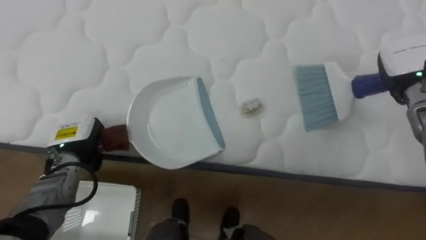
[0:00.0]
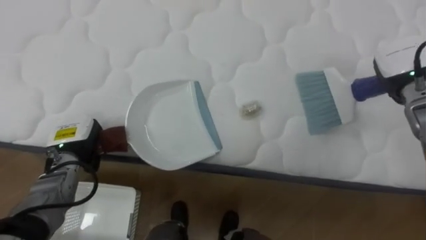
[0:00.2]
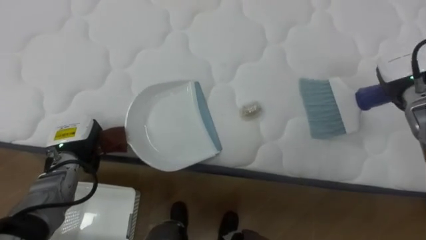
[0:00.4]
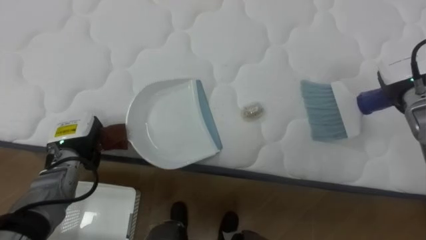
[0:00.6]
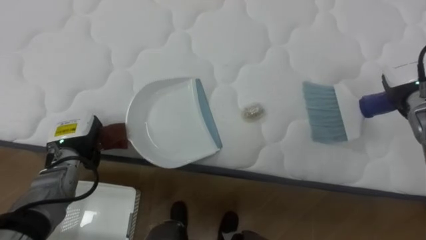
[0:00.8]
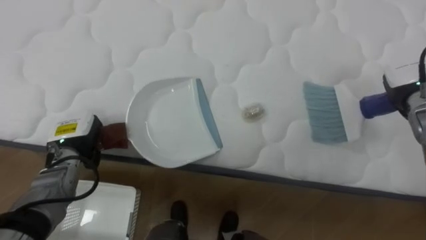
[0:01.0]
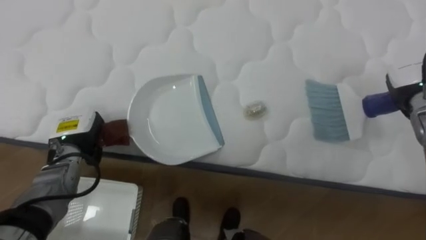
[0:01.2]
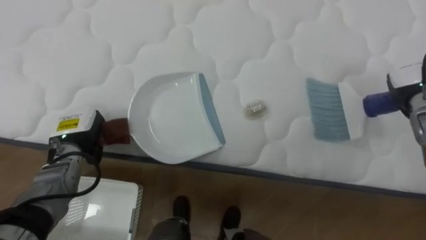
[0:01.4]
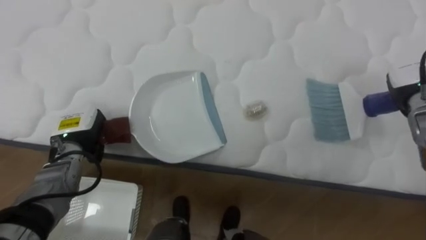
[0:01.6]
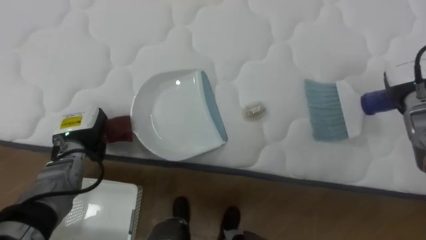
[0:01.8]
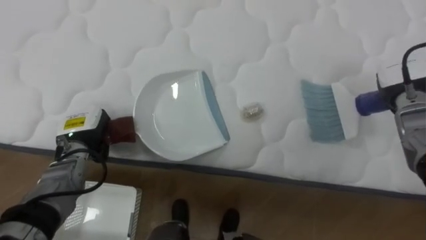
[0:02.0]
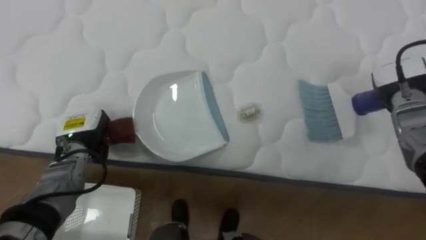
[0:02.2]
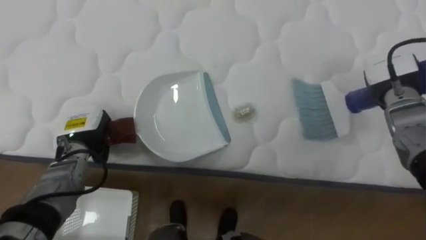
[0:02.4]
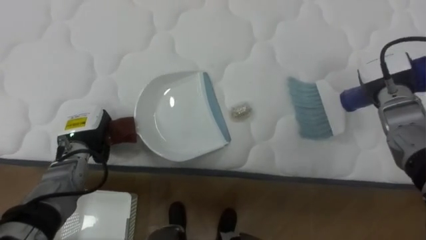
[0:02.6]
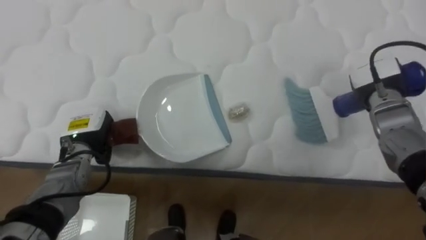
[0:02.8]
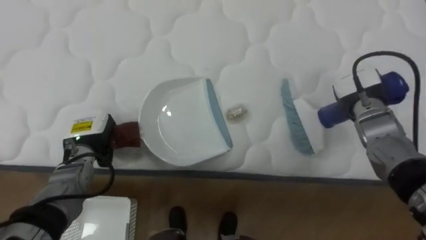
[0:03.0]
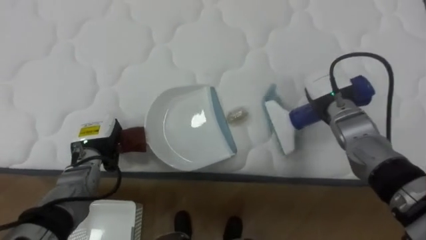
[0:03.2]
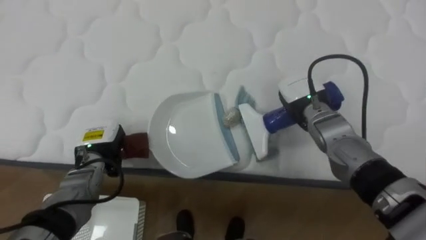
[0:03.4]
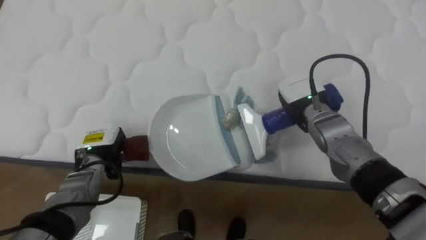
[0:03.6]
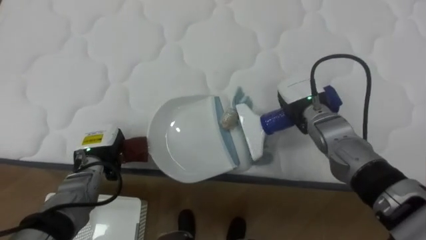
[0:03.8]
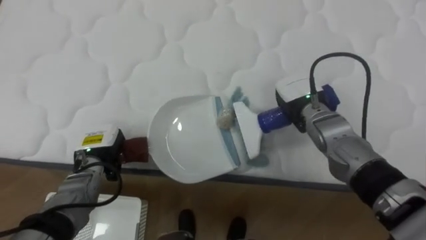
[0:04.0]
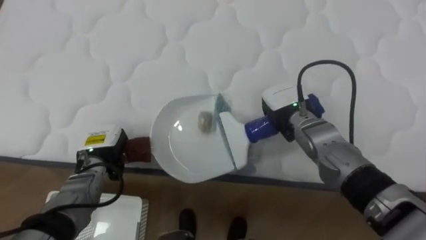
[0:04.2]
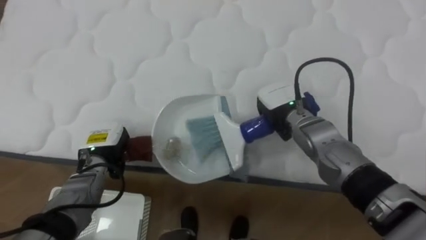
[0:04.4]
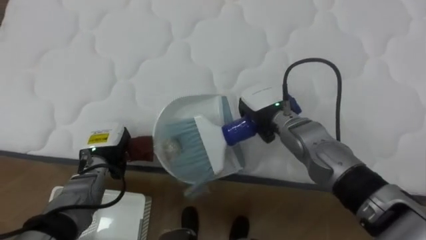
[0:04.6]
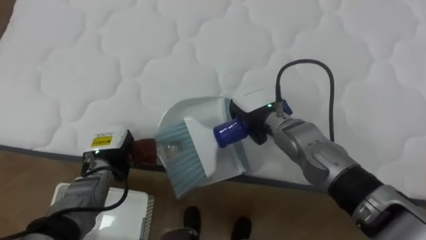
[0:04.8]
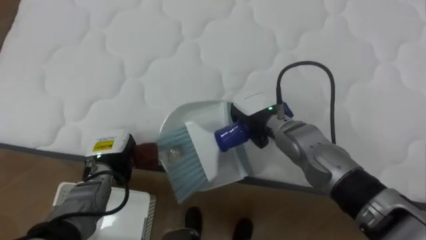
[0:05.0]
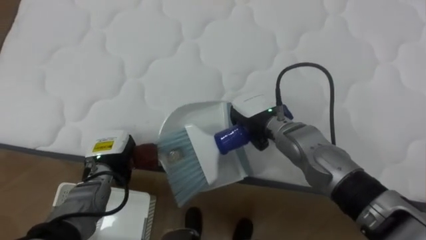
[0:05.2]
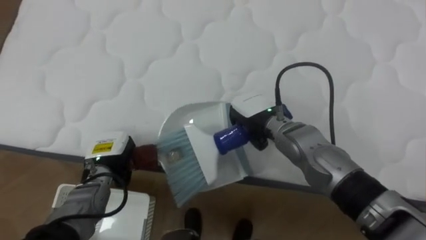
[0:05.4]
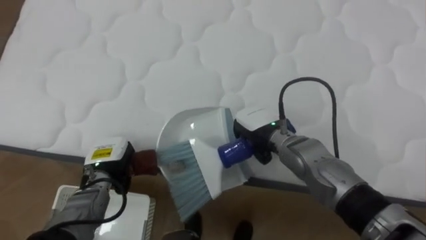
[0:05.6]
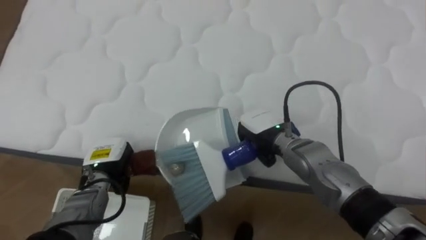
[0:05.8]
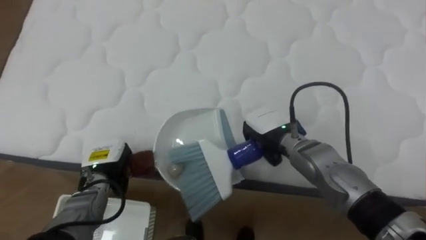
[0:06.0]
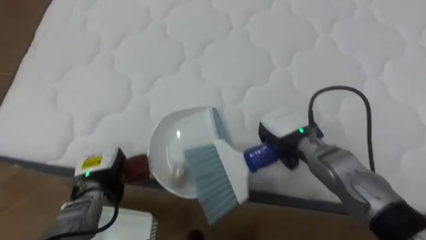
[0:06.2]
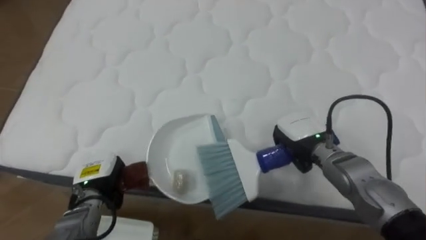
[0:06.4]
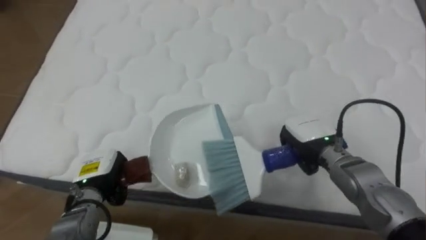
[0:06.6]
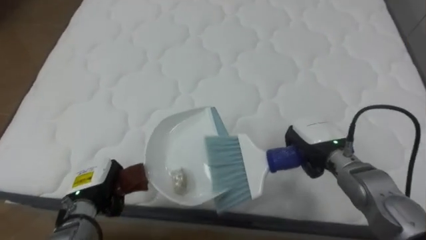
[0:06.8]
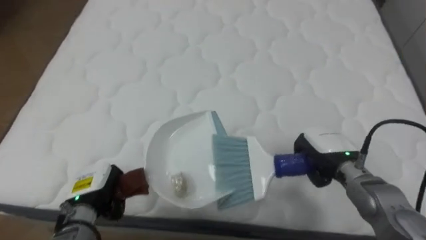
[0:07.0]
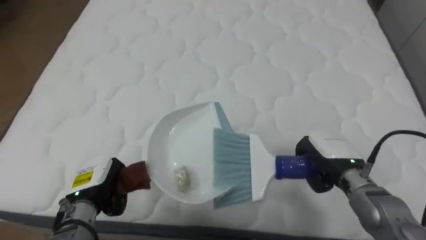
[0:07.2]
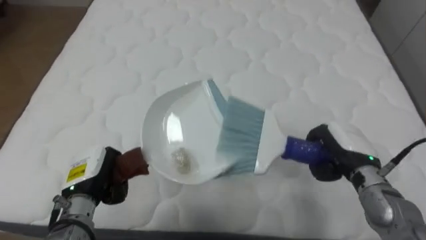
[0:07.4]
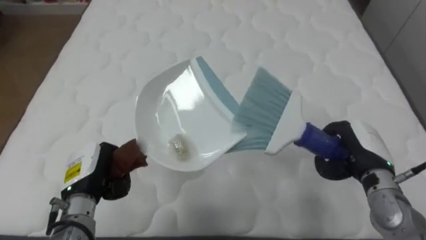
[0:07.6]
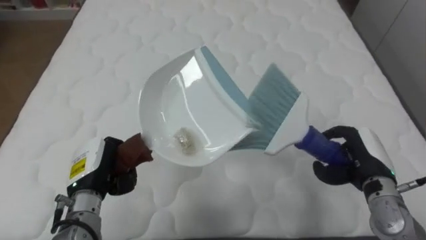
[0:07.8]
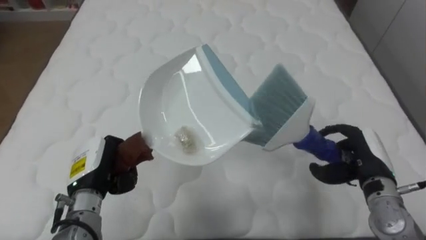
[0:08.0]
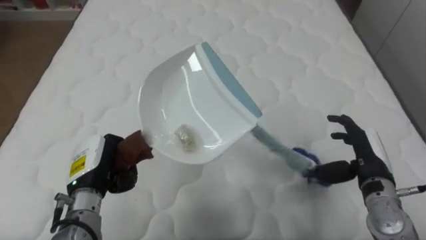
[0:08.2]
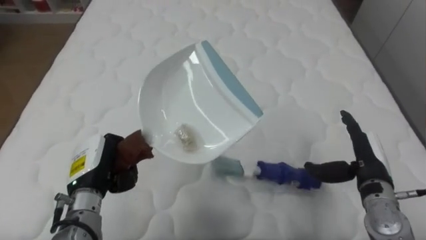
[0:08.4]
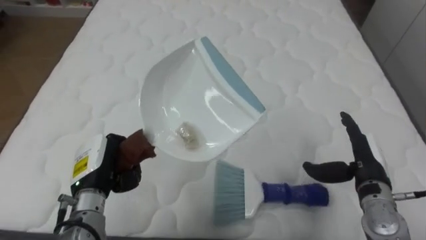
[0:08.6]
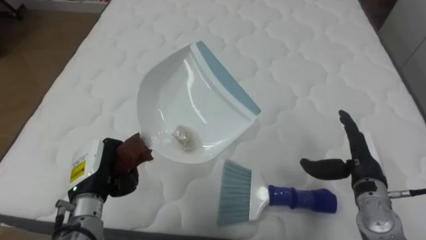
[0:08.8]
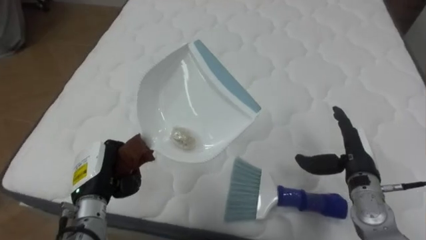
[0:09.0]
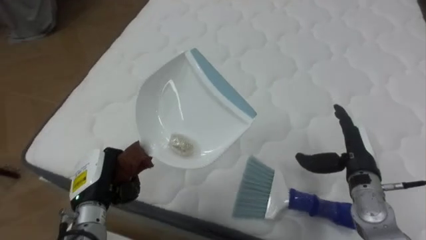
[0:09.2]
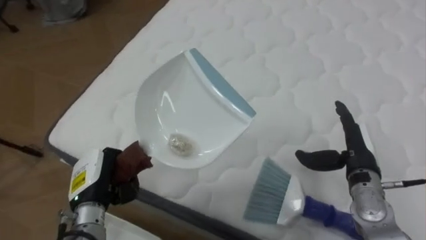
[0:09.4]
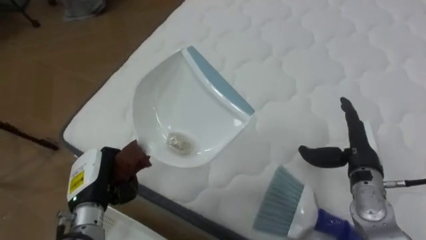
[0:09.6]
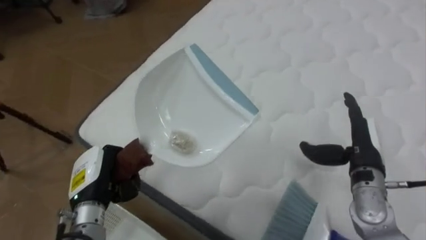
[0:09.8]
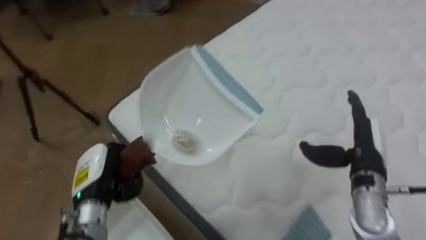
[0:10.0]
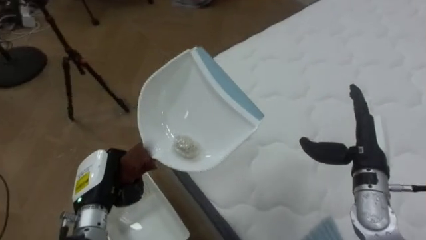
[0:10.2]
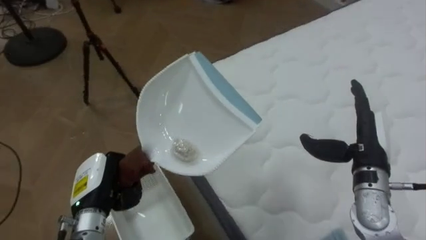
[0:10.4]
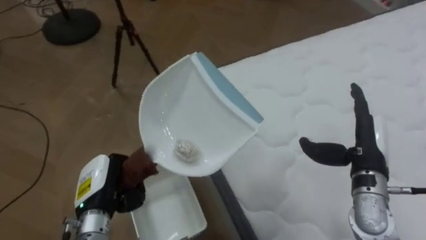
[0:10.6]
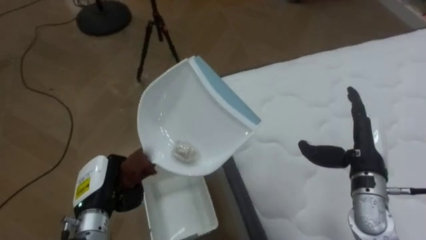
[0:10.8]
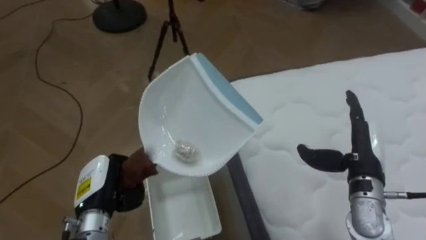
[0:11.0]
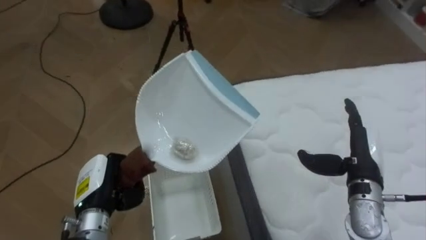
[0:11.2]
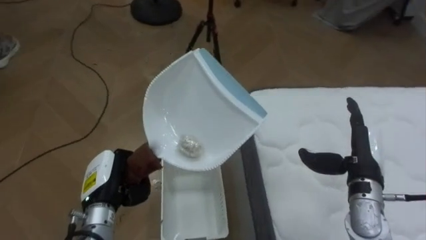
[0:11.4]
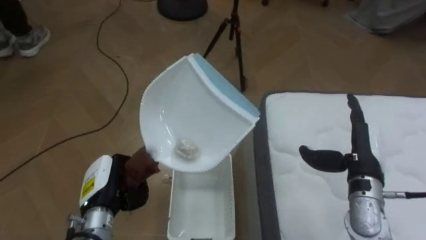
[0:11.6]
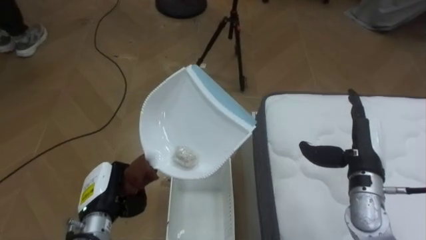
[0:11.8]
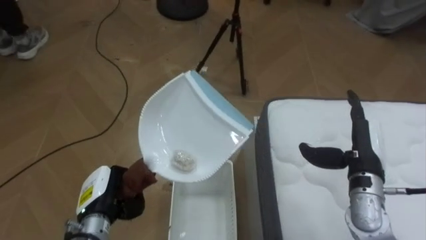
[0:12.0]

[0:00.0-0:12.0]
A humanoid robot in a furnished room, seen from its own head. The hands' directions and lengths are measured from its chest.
Task of the whole recording: Pick up the brush on your right and the dustpan on your left. Use the brush to sweep the crumpled paper on the bed into the dustpan, then turn left and empty it into the basket.
0:01.6 to 0:03.0: The right hand shifts approximately 10 cm to the left.
0:03.0 to 0:04.4: The right hand goes approximately 15 cm to the left.
0:04.4 to 0:06.0: The right hand moves approximately 5 cm.
0:06.0 to 0:07.6: The left hand changes place by some 5 cm, while the right hand is displaced to the right by about 15 cm.
0:07.6 to 0:09.0: The right hand opens up.
0:09.0 to 0:10.4: The robot's body swings approximately 50 degrees to its left. The right hand shifts some 5 cm upward.
0:10.4 to 0:12.0: The robot's body swings some 35 degrees to its left.

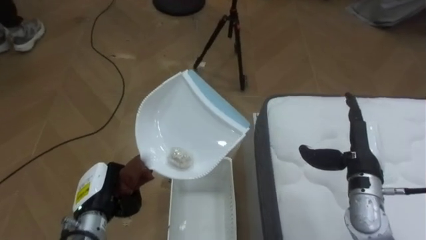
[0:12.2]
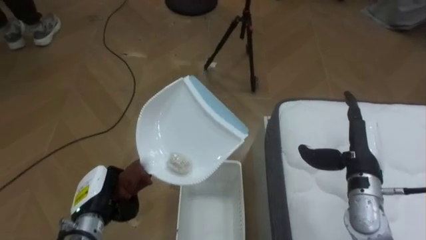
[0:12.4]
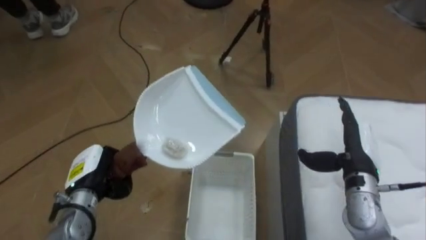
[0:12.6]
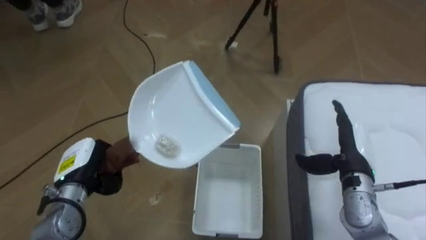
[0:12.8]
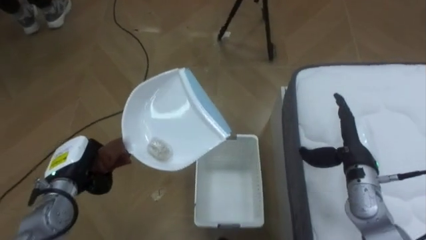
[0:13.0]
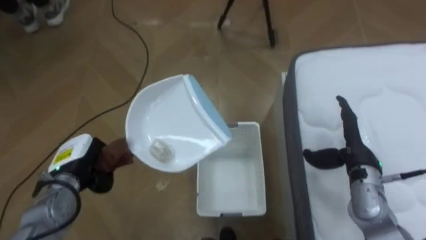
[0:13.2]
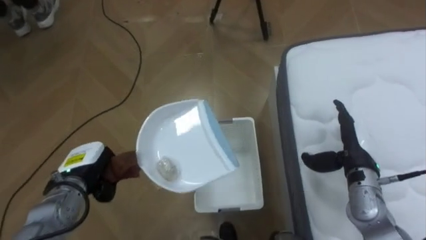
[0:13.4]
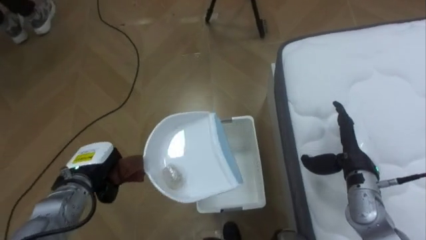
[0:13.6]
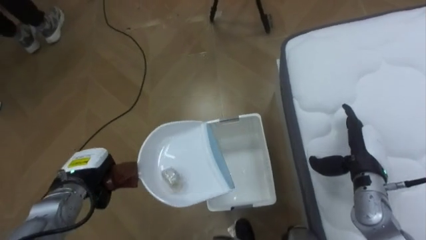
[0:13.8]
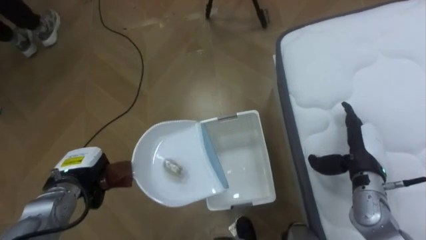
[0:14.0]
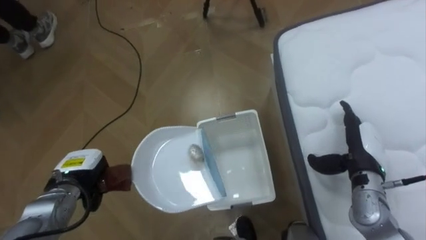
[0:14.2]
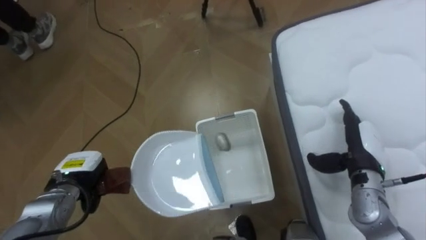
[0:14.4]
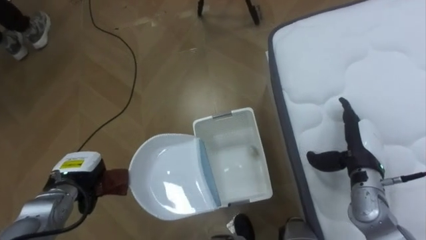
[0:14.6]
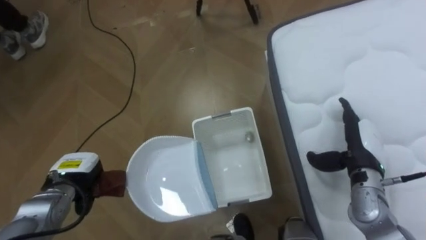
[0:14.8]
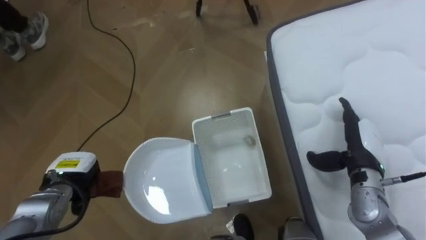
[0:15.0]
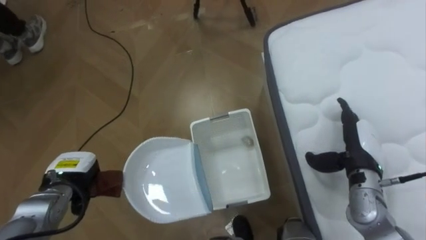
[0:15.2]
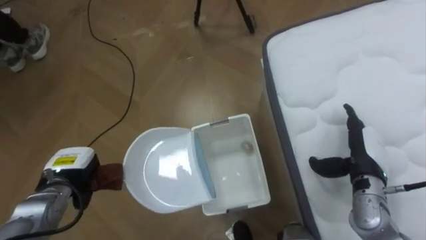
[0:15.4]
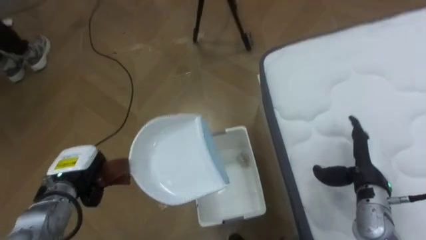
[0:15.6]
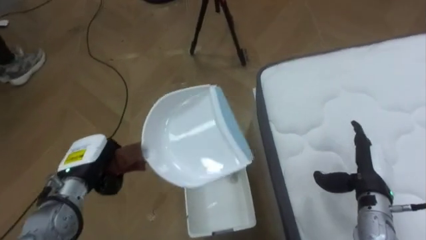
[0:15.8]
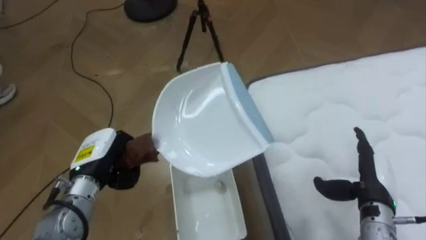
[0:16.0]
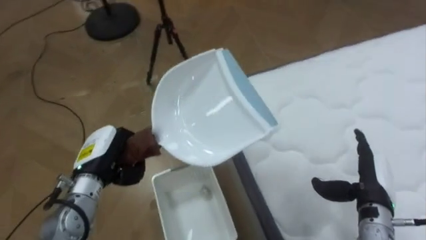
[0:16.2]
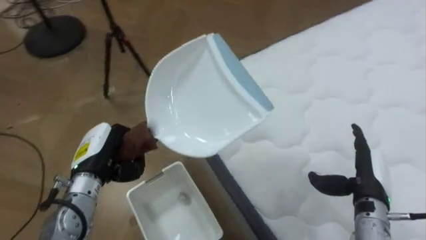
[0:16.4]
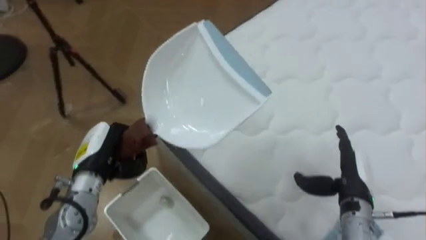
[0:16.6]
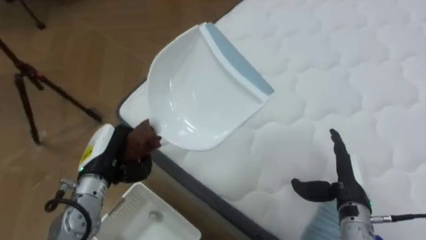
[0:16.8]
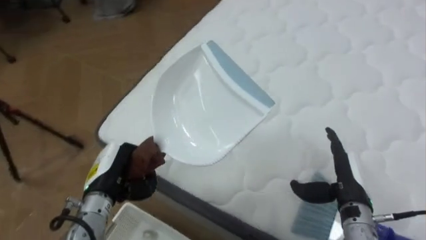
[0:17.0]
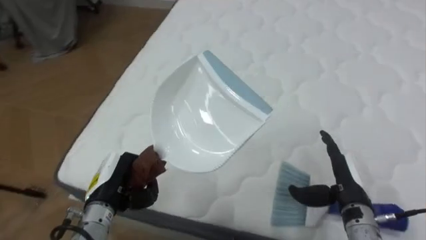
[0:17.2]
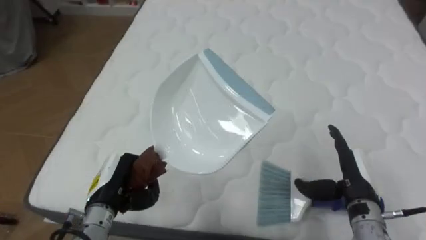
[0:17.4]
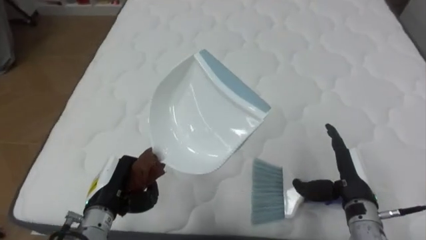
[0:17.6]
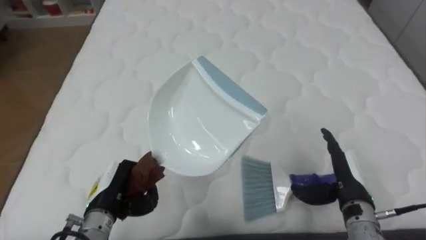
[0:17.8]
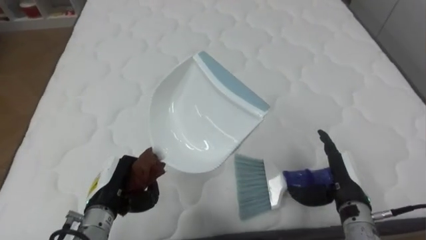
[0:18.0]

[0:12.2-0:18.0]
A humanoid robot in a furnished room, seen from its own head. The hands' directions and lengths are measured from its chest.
Task of the whole recording: Pick up the brush on your right and the dustpan on your left. Use the brush to sweep the crumpled paper on the bed into the dustpan, then turn left and empty it into the basket.
0:12.2 to 0:13.6: The left hand goes approximately 5 cm forward.
0:15.0 to 0:16.6: The robot faces about 45 degrees further to its right. The right hand moves about 5 cm. Meanwhile the left hand shifts roughly 10 cm upward and to the right.
0:16.6 to 0:18.0: The robot faces about 45 degrees further to its right. The left hand shifts approximately 5 cm downward.
